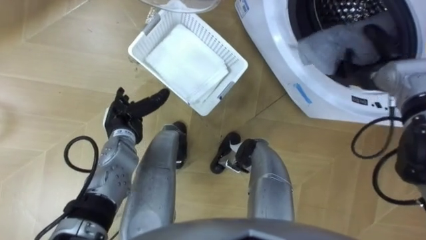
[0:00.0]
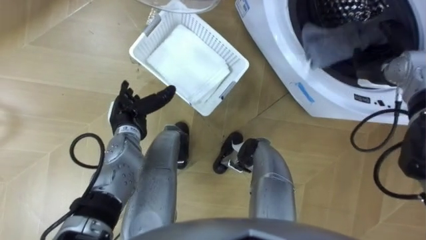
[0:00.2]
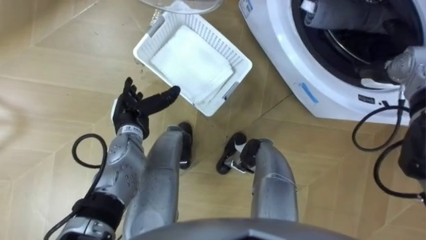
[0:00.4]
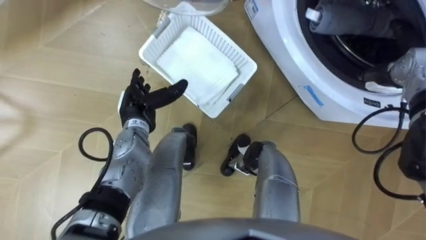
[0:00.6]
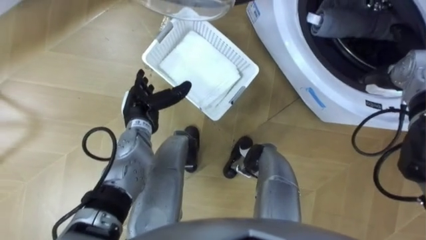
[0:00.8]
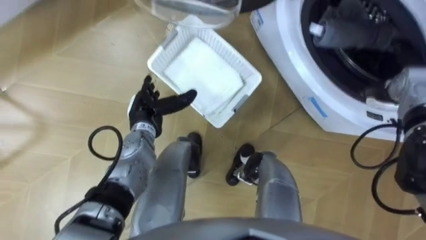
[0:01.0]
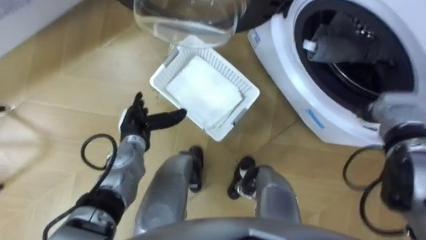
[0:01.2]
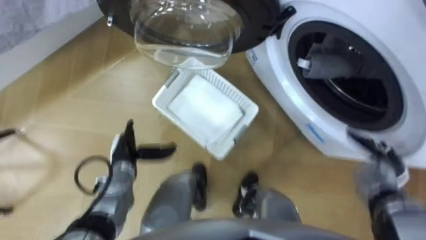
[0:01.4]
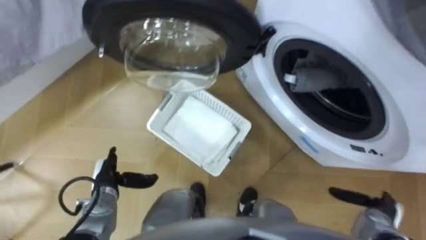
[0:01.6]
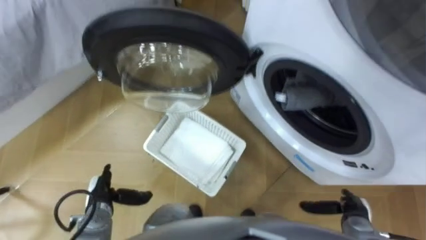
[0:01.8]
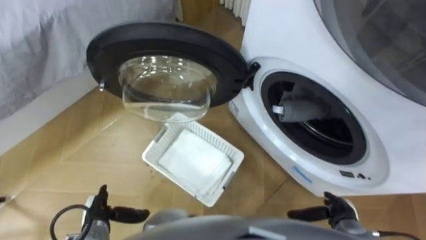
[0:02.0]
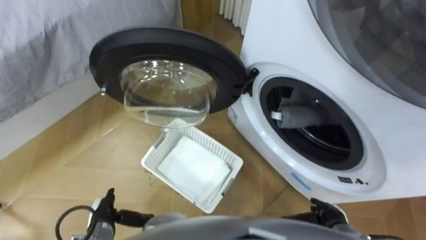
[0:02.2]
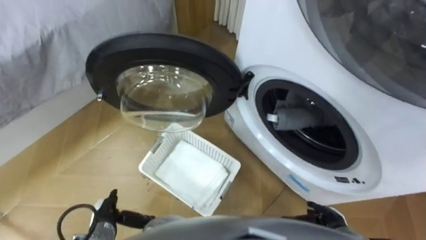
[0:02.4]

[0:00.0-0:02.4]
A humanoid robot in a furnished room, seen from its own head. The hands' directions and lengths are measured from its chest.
Task of the whole recording: Take the towel from the basket and put it into the washing machine.
0:00.0 to 0:01.2: The right hand goes roughly 10 cm backward and downward.
0:01.2 to 0:02.4: The right hand heads backward, downward and to the left, covering approximately 30 cm; the left hand shifts roughly 20 cm backward and downward.

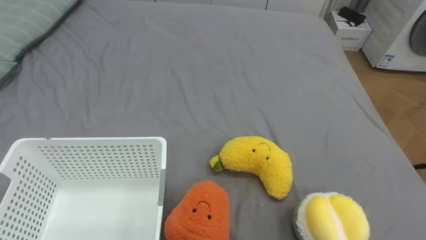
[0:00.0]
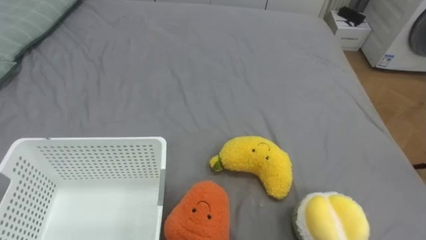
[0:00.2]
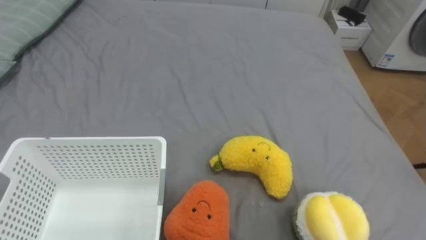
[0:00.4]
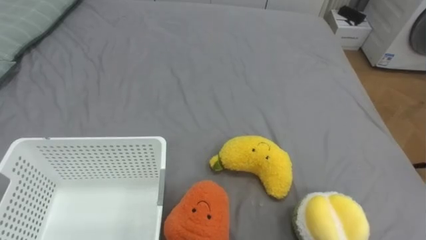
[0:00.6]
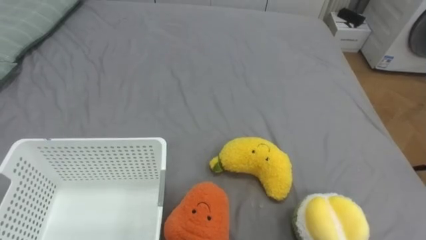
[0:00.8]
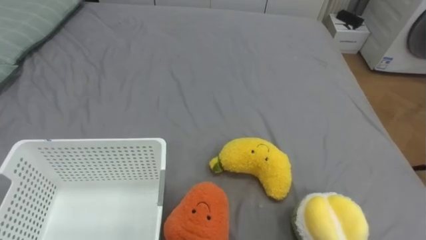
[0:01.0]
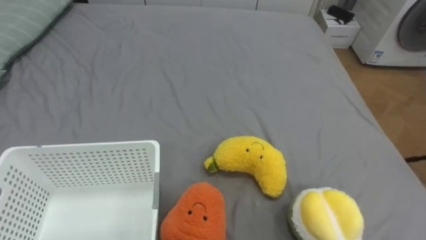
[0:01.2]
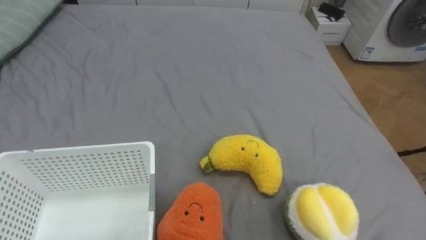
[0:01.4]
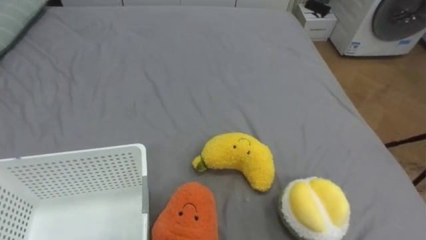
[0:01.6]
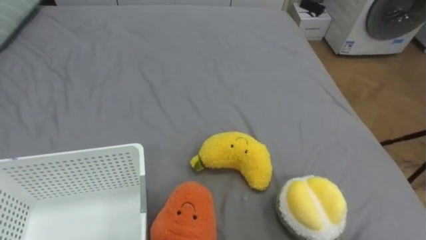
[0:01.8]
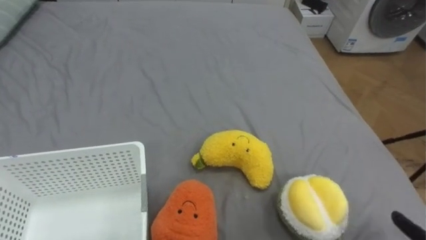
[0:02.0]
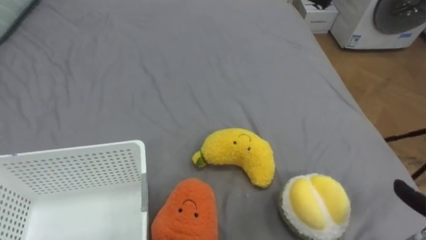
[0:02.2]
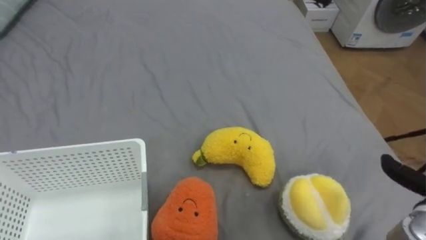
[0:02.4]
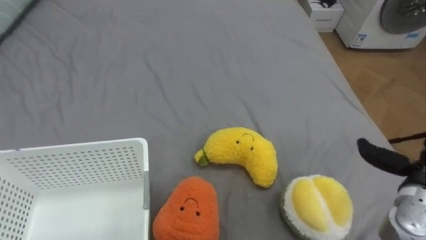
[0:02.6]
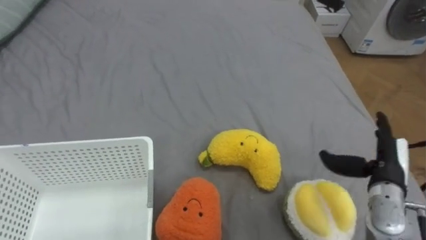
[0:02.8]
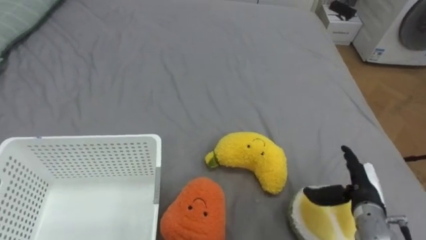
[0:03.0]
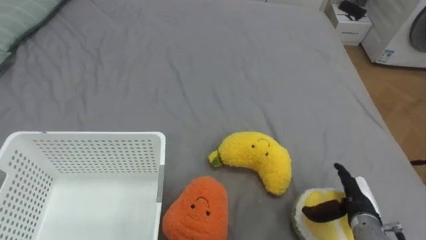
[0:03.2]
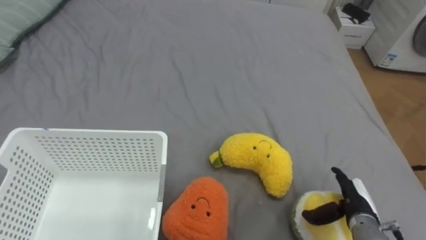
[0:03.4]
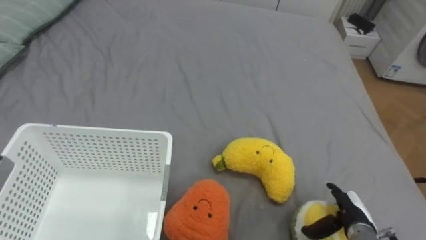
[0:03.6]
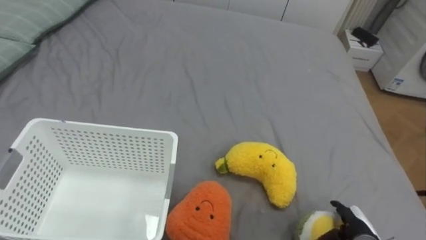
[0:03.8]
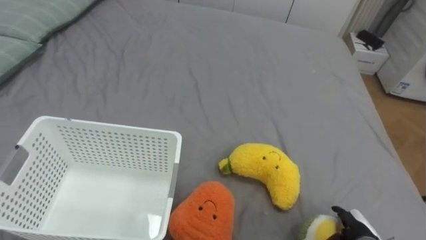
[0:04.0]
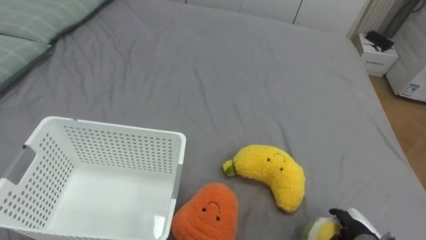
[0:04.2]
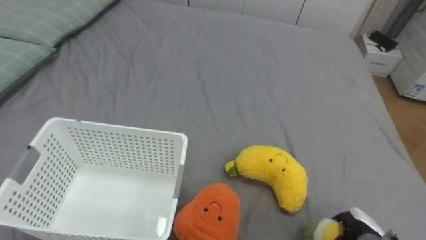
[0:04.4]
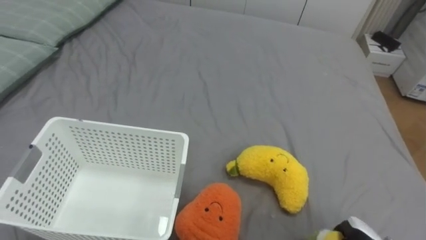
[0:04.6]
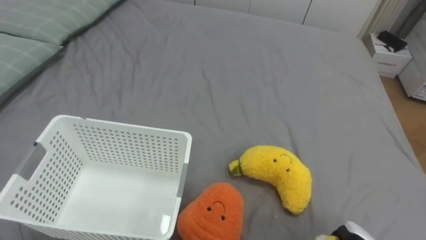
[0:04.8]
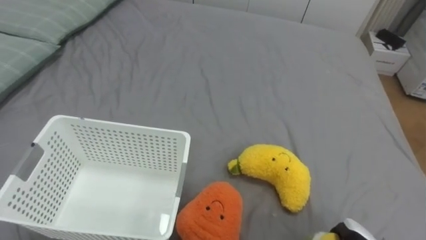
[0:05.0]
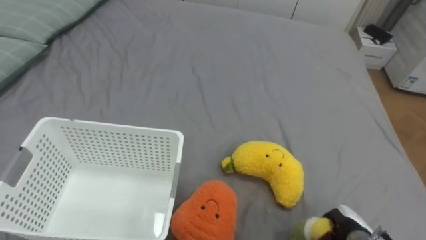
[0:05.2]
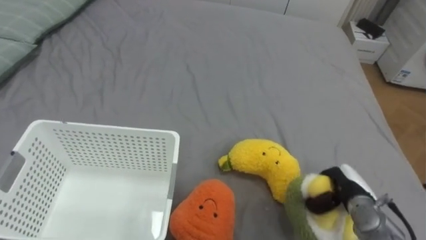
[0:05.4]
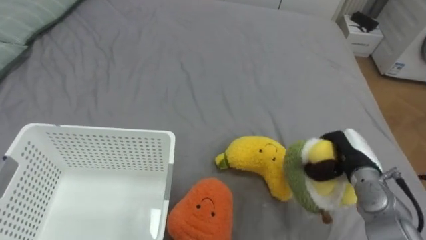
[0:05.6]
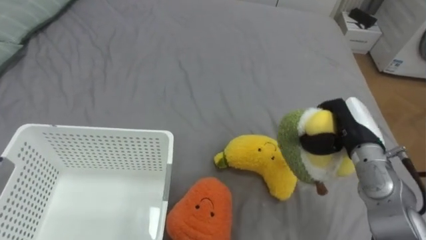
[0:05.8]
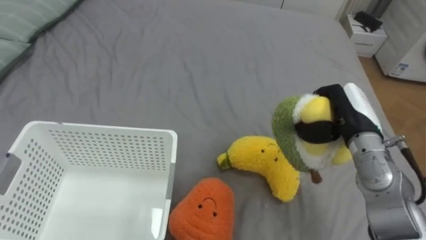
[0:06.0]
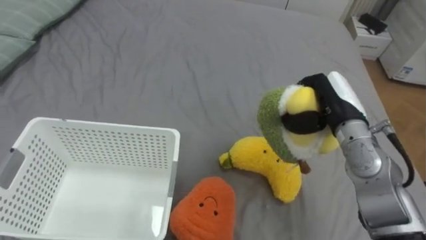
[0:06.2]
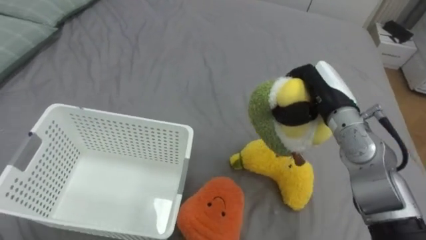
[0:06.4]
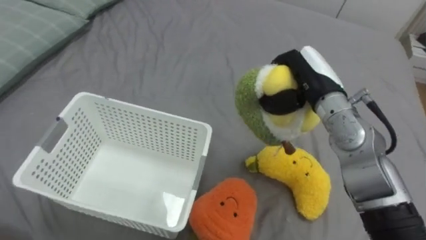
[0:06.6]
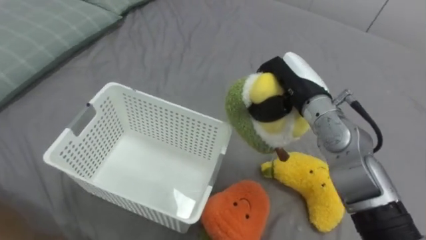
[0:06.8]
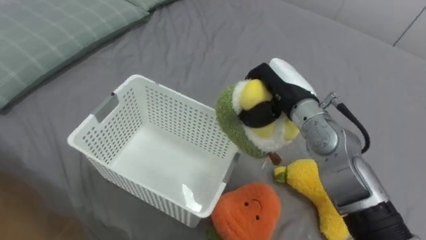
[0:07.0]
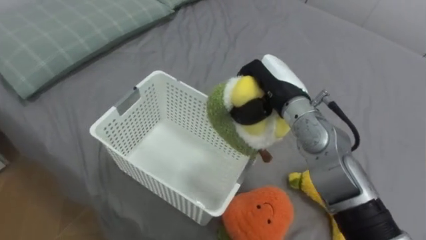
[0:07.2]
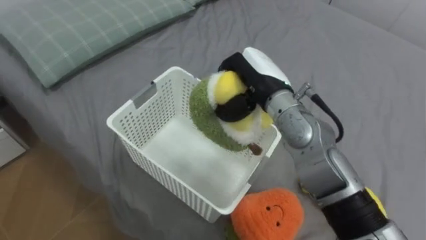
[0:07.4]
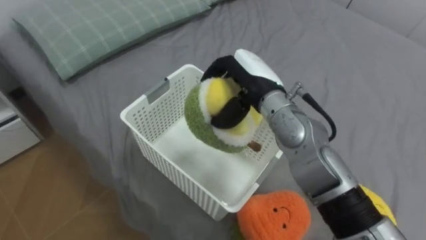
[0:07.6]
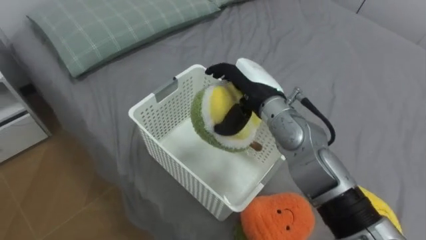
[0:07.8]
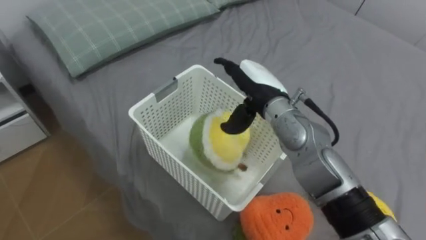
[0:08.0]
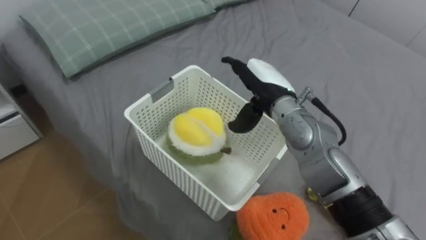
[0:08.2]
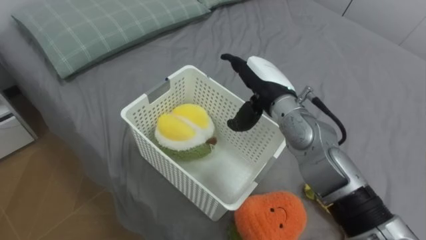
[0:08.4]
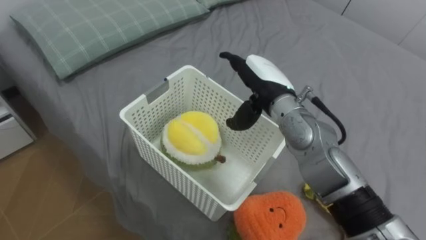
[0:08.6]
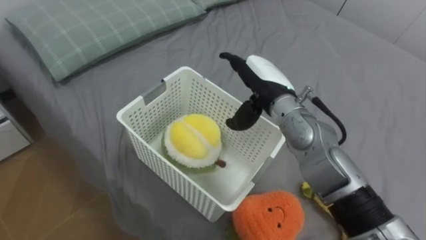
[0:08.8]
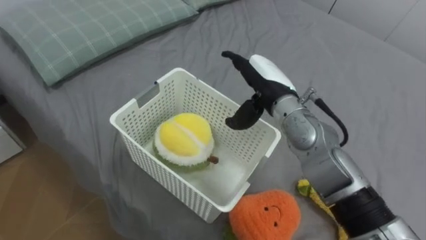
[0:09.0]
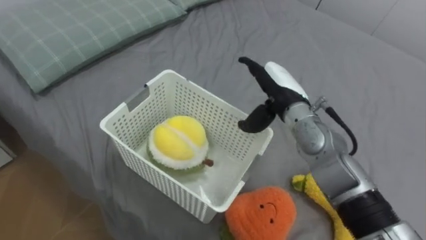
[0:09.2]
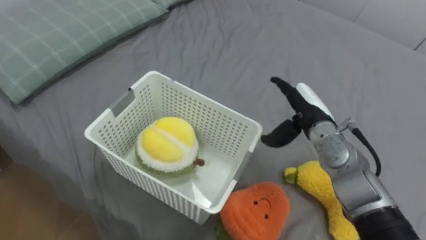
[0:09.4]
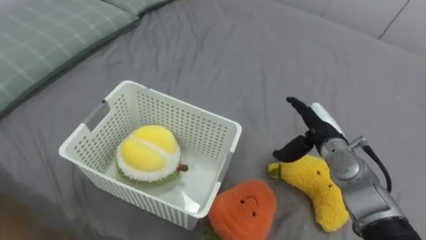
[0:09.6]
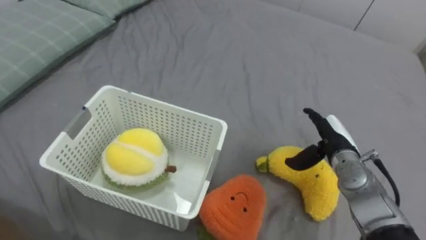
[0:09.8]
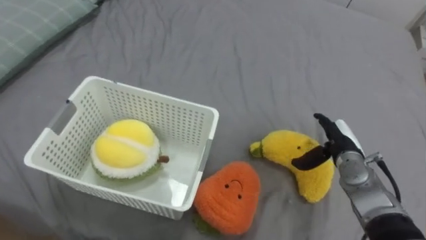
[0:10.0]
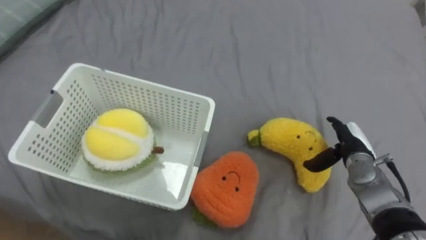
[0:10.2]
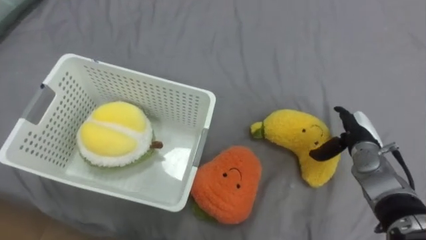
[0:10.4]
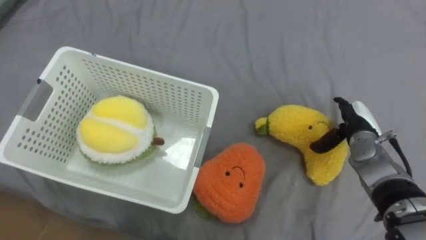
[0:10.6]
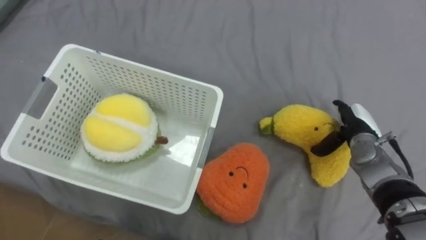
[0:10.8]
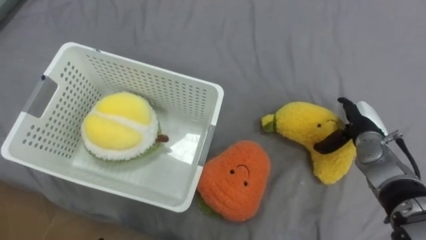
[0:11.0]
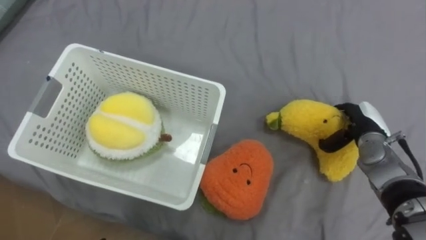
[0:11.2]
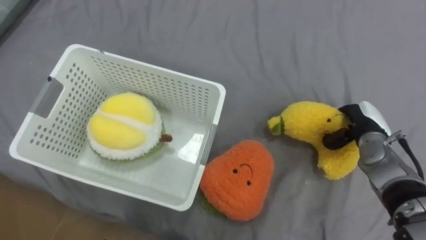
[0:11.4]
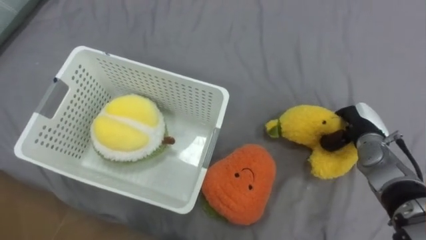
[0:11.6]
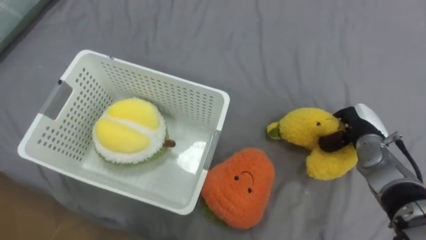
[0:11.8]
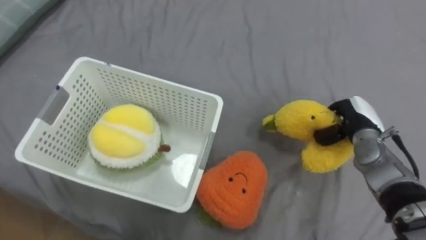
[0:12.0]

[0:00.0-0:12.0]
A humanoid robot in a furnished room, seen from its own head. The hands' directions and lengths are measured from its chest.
Task of the whole recording: Put the toys on the bed into the basket on the left.
0:03.0 to 0:04.4: The right hand heads downward and backward, covering some 10 cm.
0:06.0 to 0:07.6: The right hand shifts roughly 20 cm to the left.
0:07.6 to 0:09.0: The right hand opens its fingers.
0:09.0 to 0:10.4: The right hand goes some 25 cm to the right and downward.
0:10.4 to 0:12.0: The right hand closes.

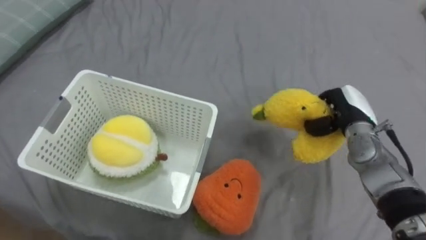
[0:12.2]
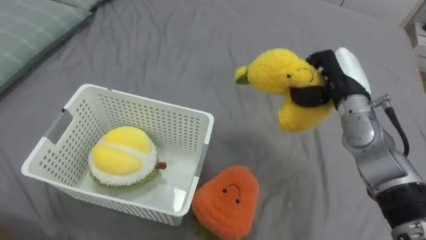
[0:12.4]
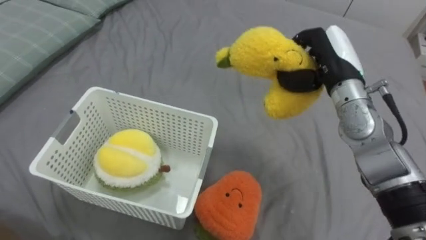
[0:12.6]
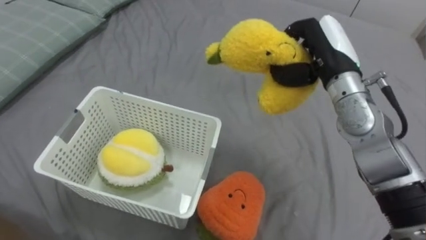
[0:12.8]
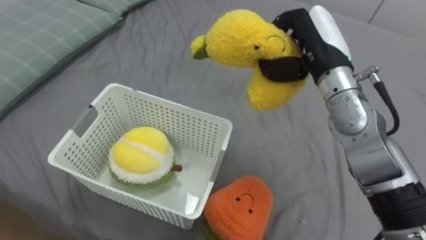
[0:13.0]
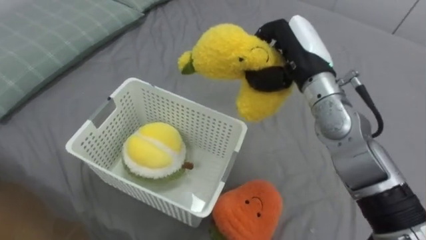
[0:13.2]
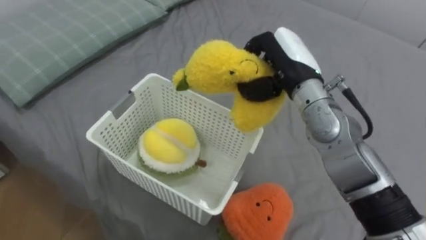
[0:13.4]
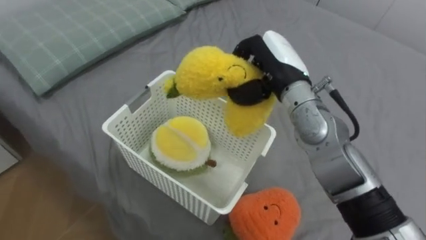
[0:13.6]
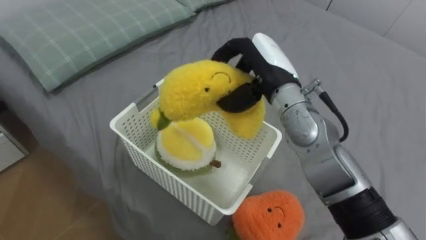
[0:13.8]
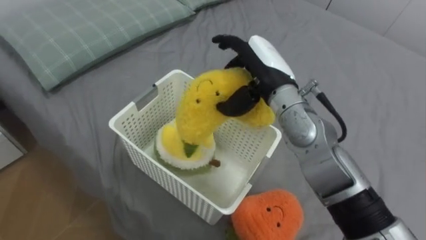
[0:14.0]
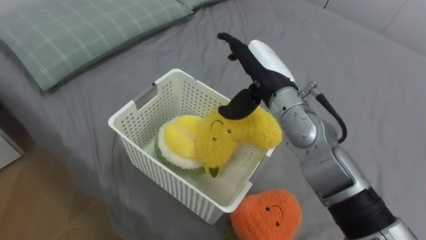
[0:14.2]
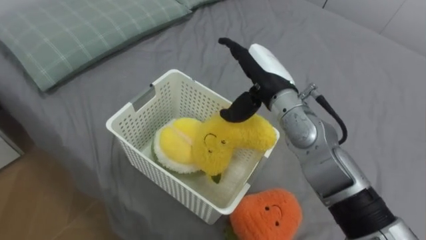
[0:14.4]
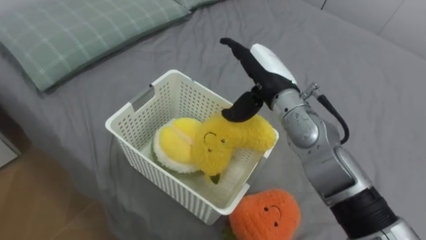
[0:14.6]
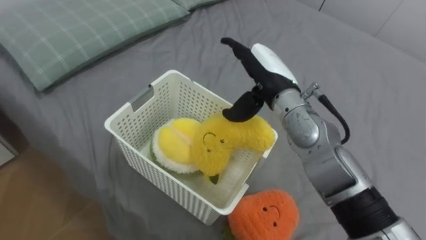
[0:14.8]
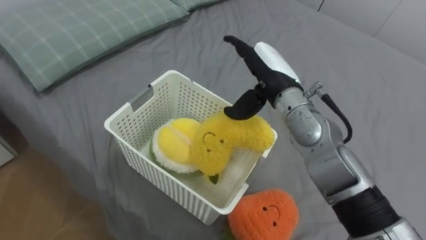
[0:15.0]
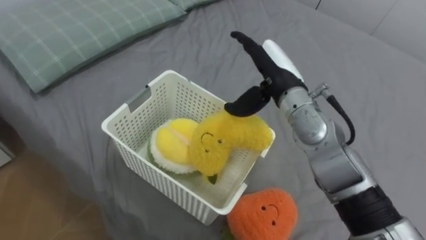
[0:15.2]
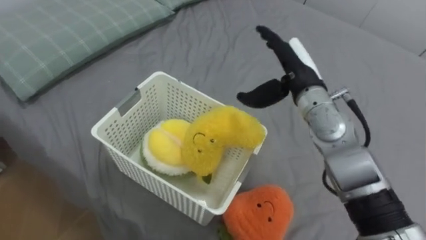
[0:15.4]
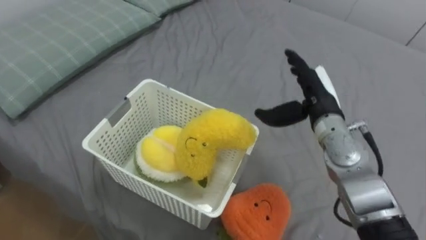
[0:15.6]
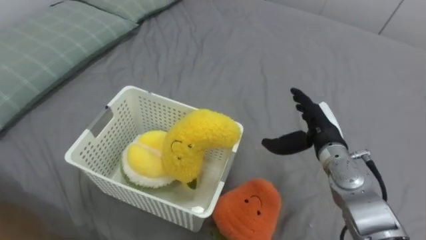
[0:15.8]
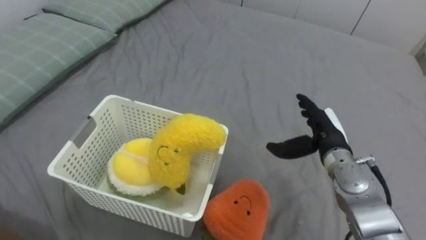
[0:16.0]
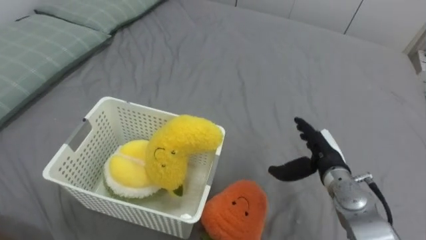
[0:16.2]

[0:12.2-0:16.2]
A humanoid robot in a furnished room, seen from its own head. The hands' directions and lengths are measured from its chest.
Task of the whole recording: Put the toys on the bed into the basket on the left.
0:12.2 to 0:13.6: The right hand shifts roughly 20 cm to the left and upward.
0:13.6 to 0:14.8: The right hand opens.
0:14.8 to 0:16.2: The right hand goes approximately 20 cm downward, to the right and backward.
